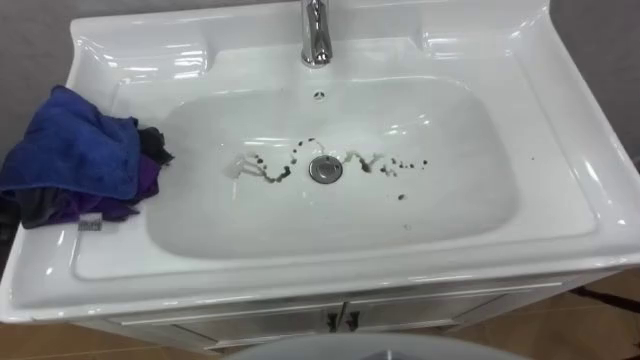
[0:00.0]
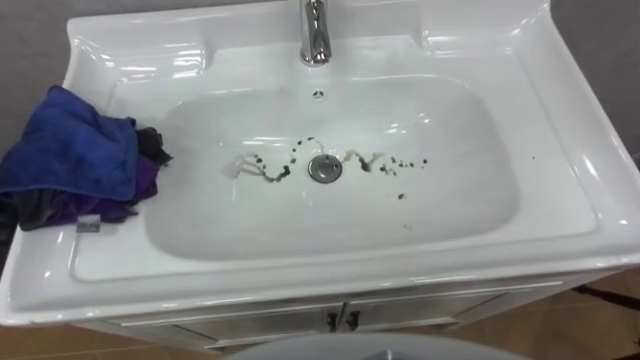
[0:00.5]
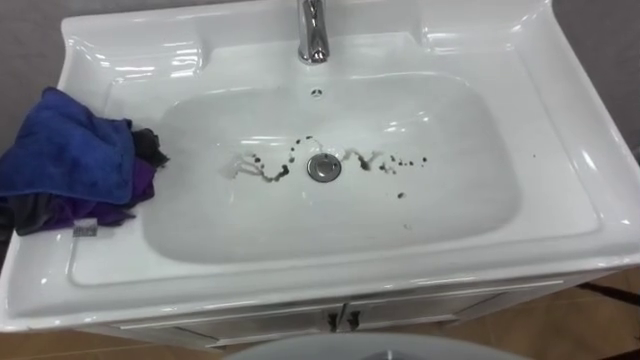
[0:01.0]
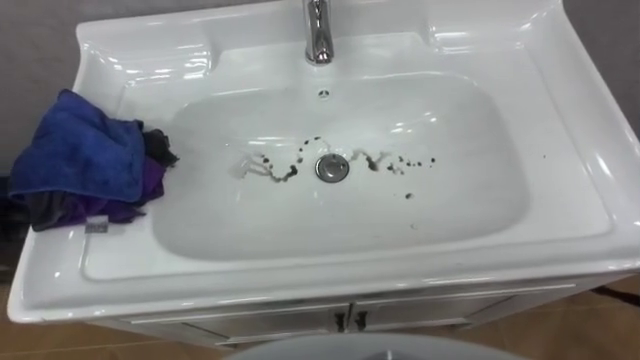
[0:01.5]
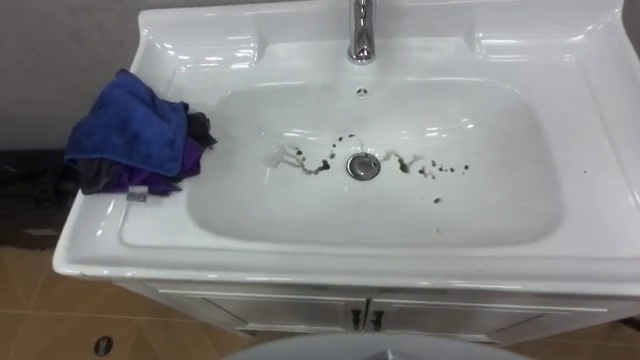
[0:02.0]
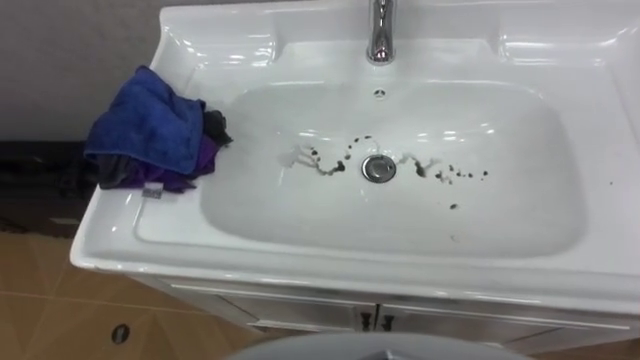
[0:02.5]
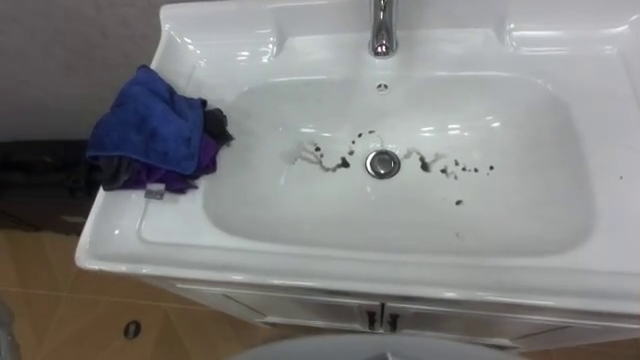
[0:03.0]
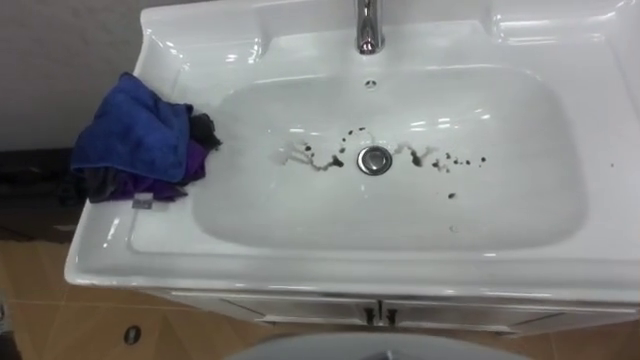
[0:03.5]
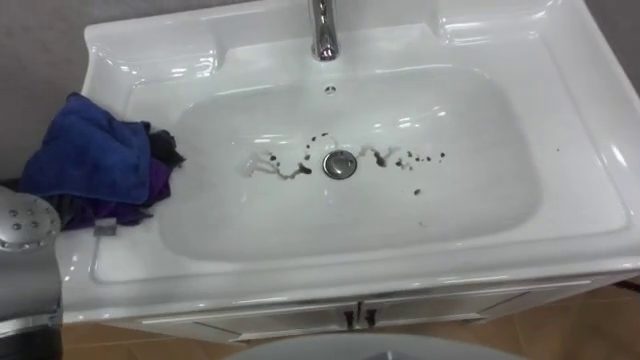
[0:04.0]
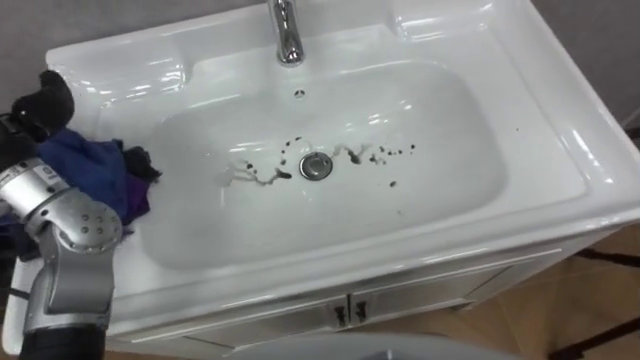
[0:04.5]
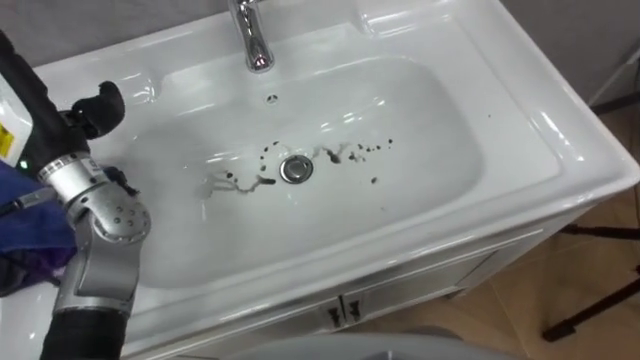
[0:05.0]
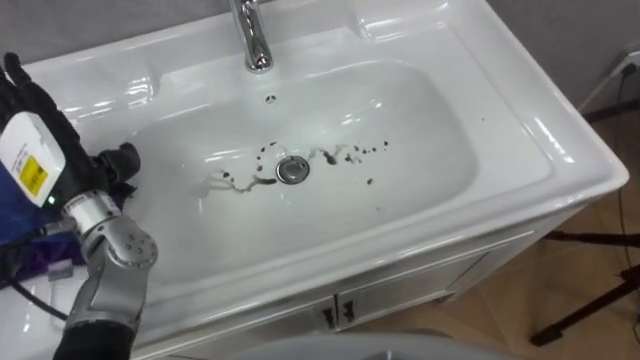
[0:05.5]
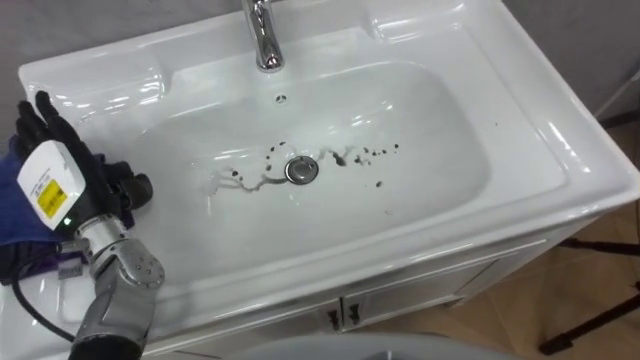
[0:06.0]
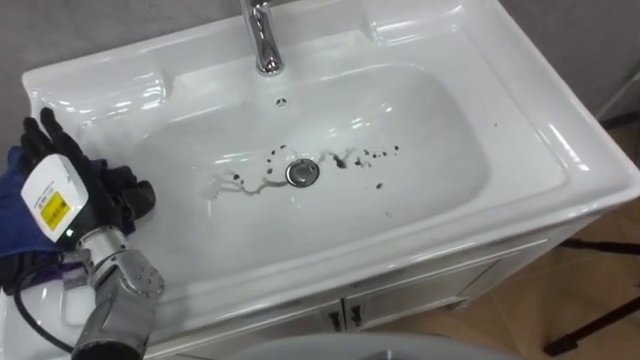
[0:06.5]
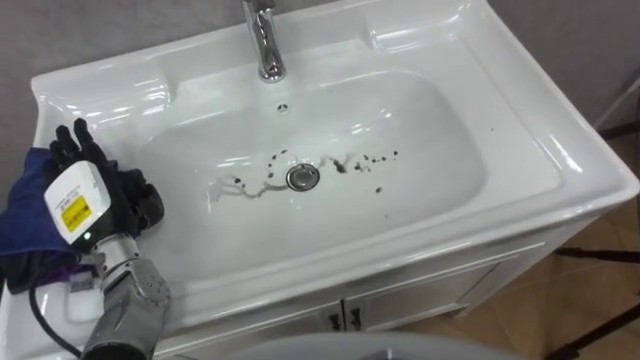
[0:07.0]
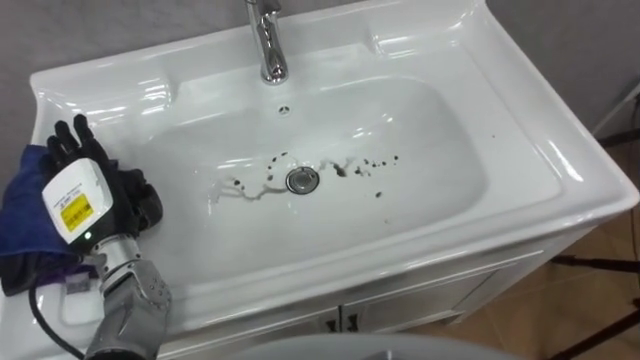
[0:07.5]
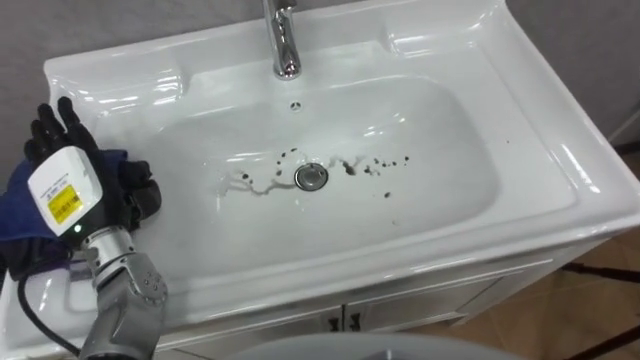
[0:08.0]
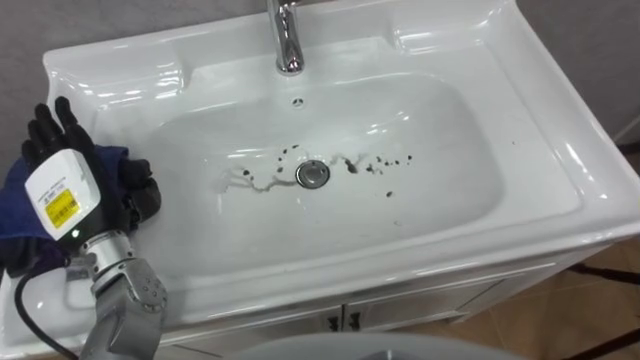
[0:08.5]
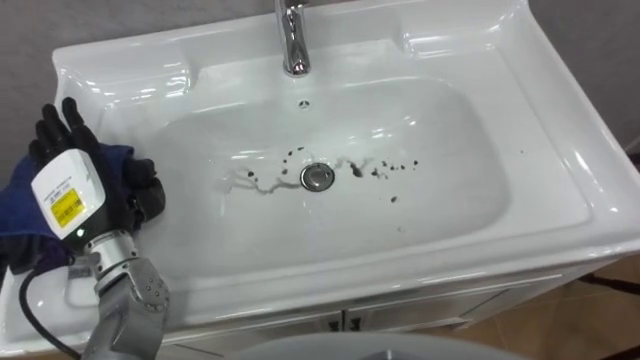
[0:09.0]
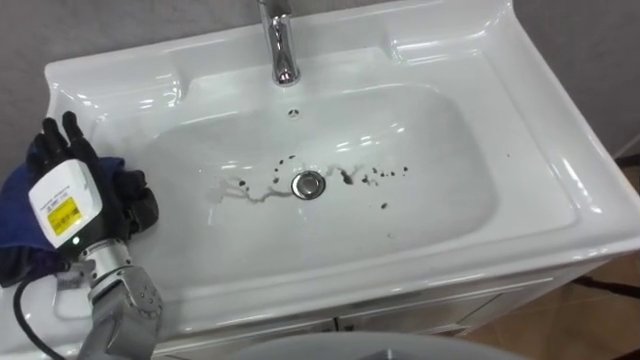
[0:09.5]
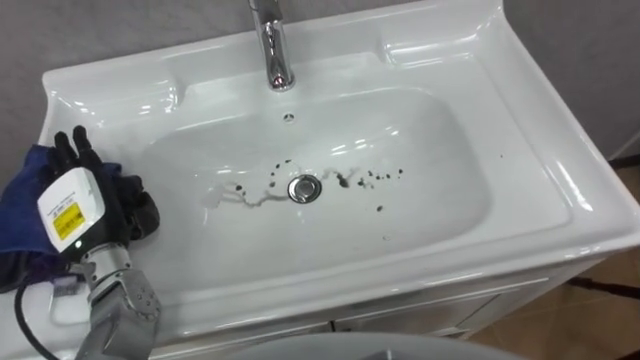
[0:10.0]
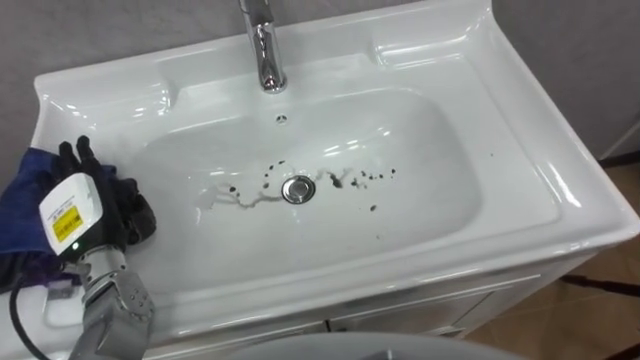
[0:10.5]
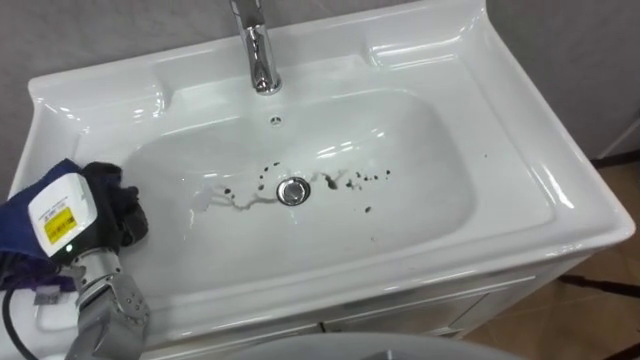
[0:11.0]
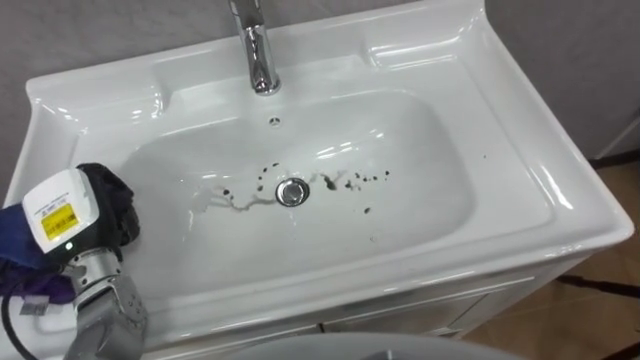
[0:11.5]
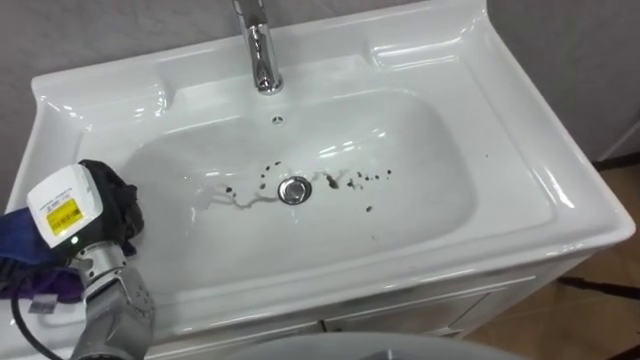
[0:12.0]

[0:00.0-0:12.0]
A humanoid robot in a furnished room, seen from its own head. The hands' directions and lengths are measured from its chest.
Task of the whole recording: Use the cloth on the right to wipe away the black stain in the sink.
0:10.0 to 0:12.0: The left hand closes.

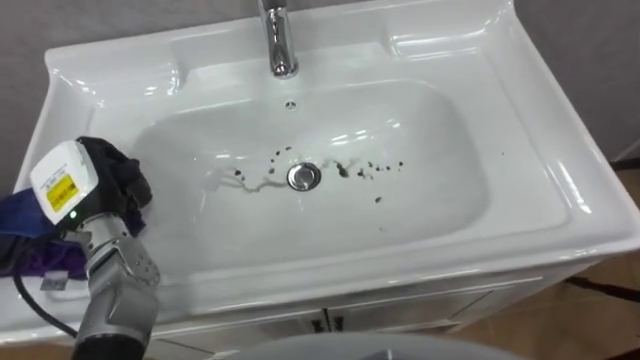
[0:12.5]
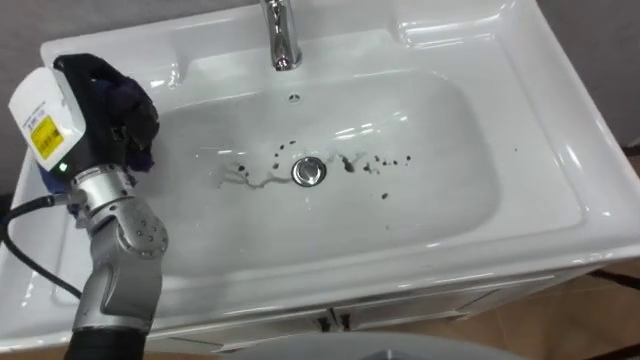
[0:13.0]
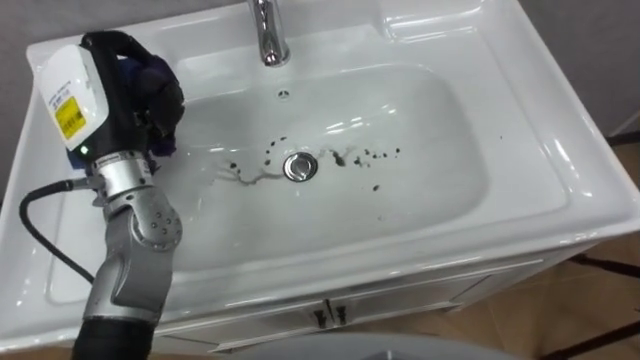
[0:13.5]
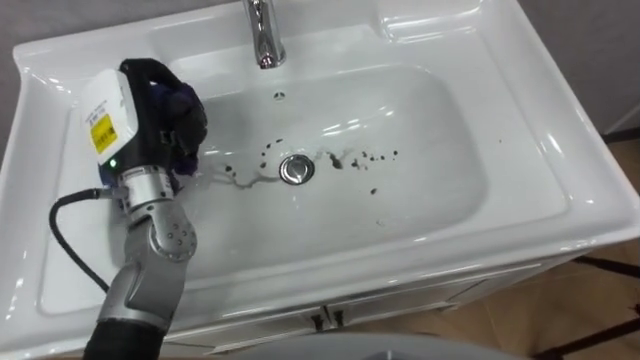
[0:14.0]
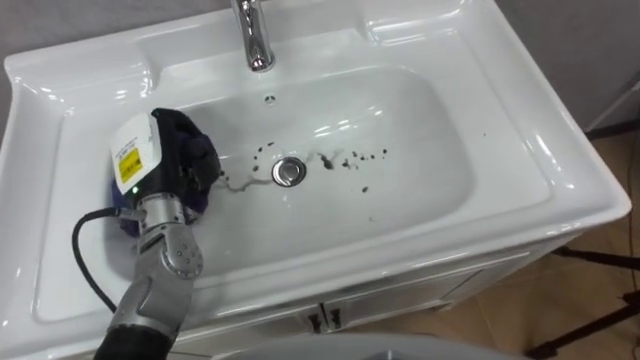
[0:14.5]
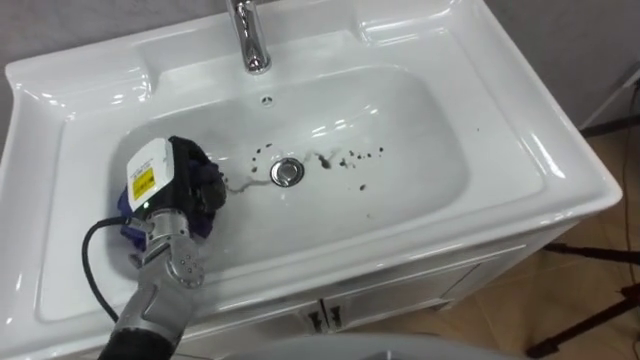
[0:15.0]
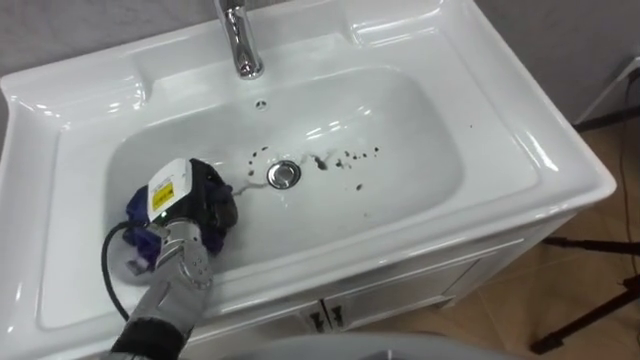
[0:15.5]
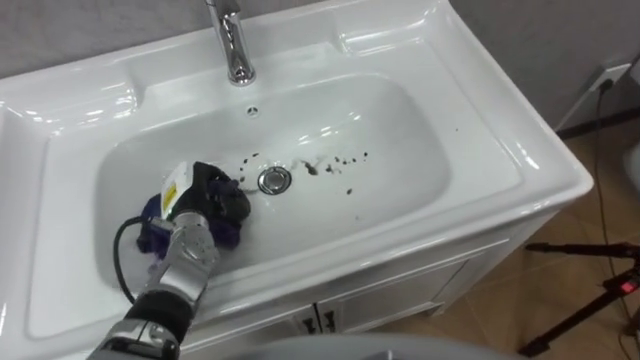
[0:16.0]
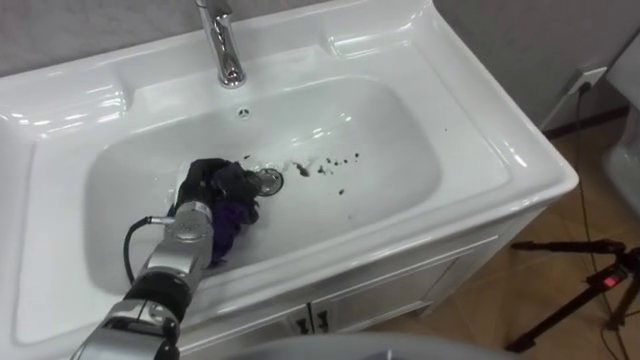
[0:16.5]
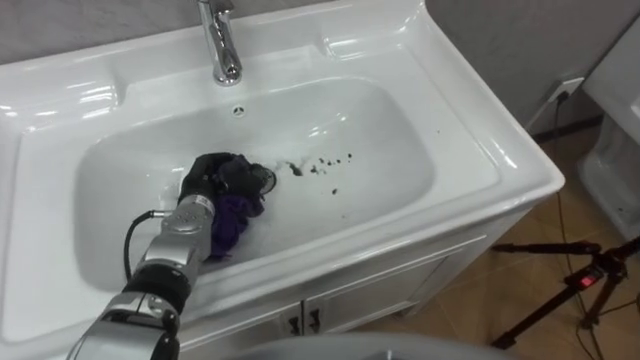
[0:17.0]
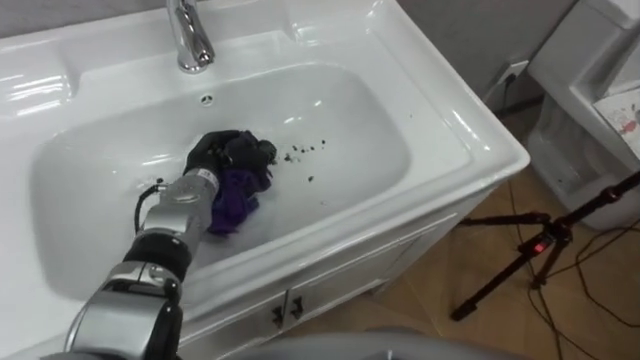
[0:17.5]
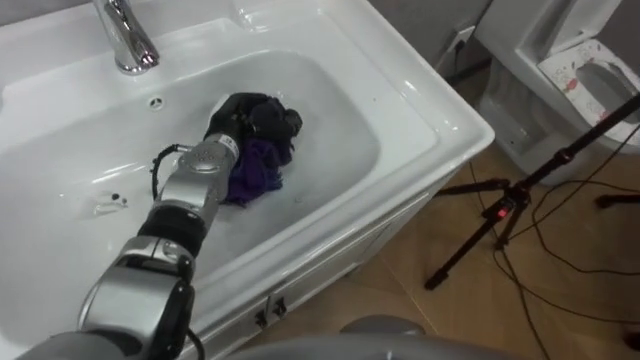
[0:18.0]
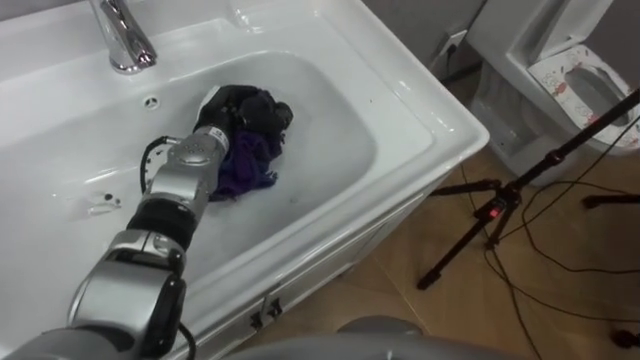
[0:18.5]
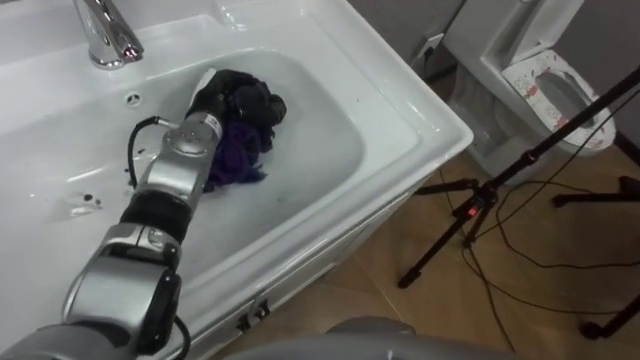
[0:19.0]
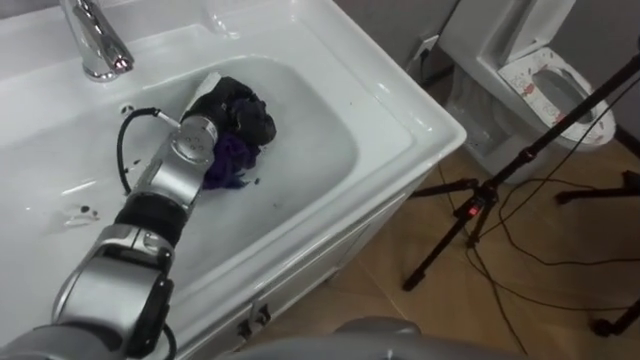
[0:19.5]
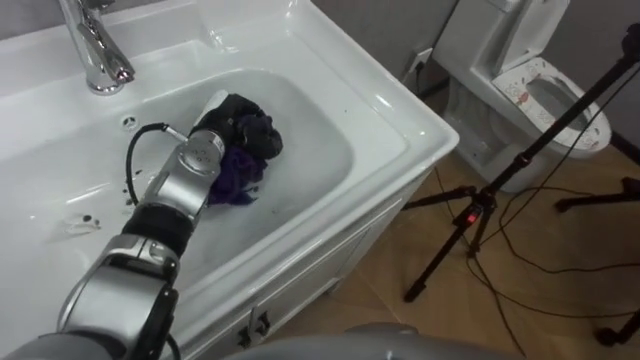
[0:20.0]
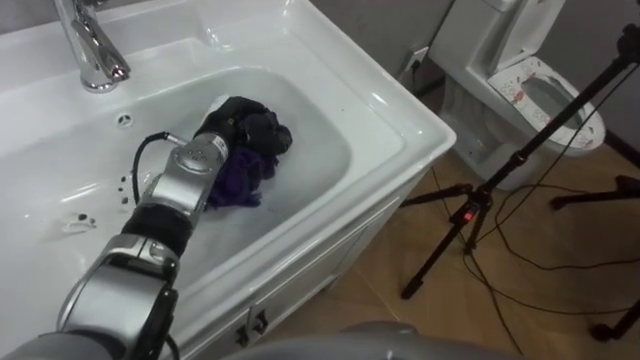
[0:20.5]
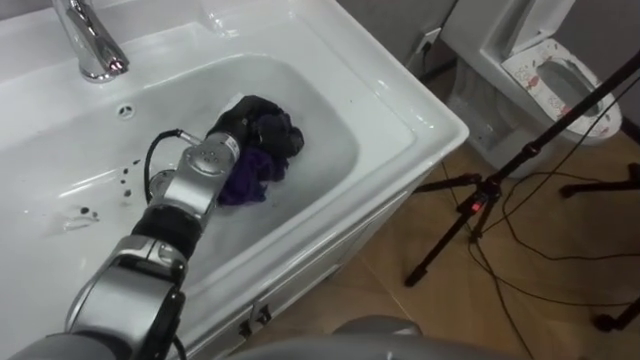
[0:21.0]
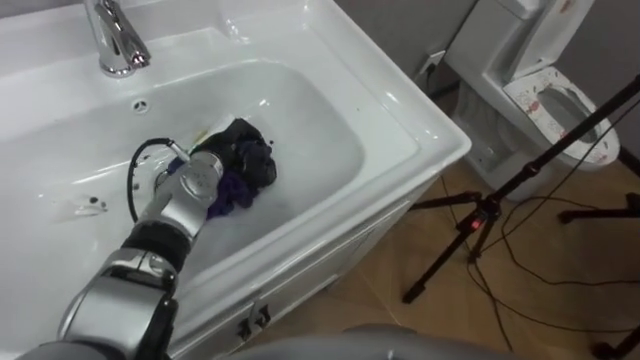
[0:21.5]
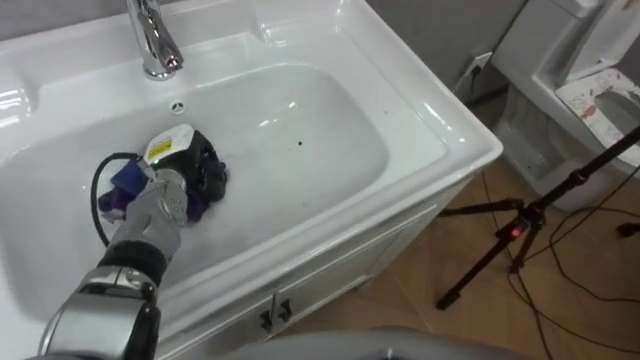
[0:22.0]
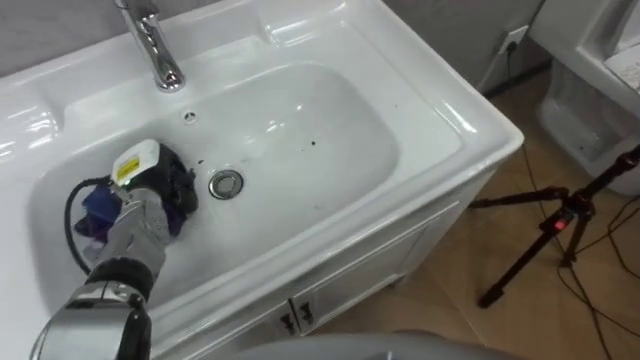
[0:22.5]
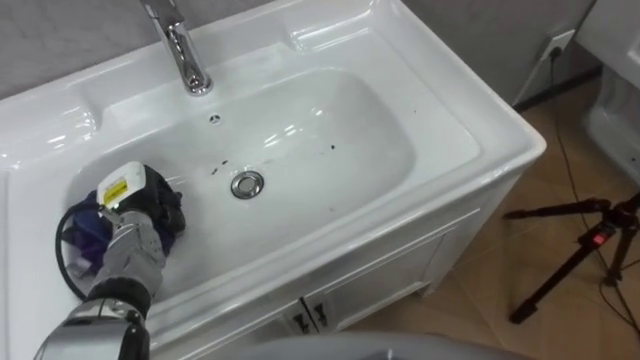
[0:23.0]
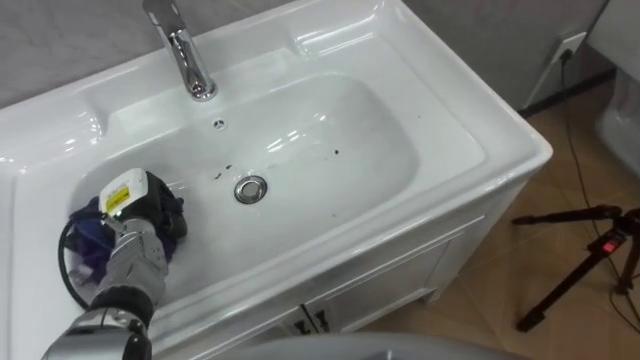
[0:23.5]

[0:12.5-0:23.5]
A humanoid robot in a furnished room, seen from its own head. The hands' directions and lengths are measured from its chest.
Task of the whole recording: Use the cloth on the right to wipe away the black stain in the sink.
0:12.5 to 0:14.5: The left hand goes some 10 cm to the right, and reaches about 10 cm upward, then returns.
0:14.5 to 0:16.0: The left hand heads downward, covering about 10 cm.
0:16.0 to 0:18.0: The left hand shifts about 15 cm forward, to the right and upward.
0:21.5 to 0:23.5: The left hand moves to the left and backward, roughly 15 cm.
